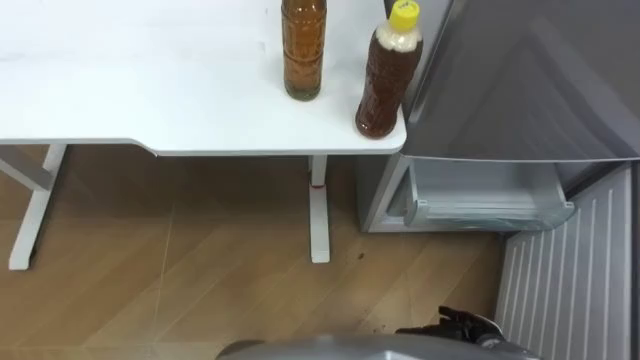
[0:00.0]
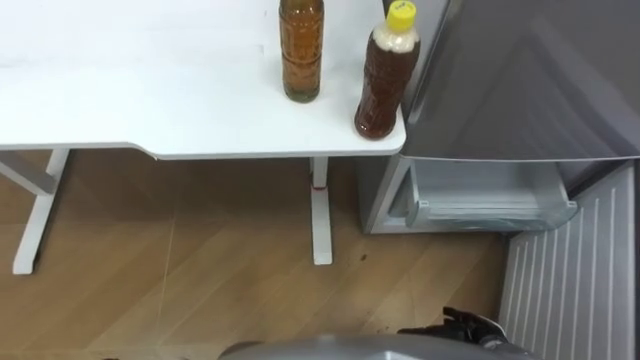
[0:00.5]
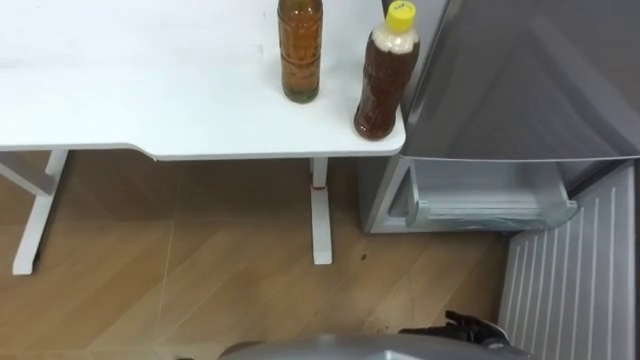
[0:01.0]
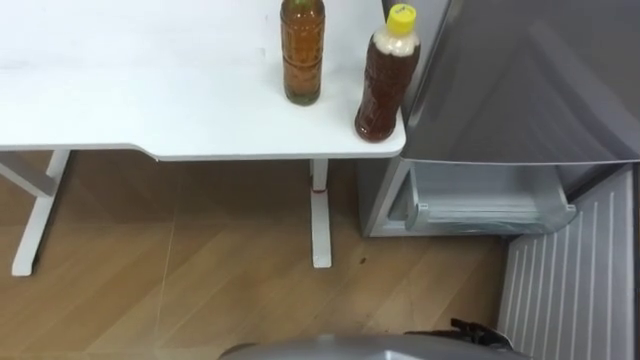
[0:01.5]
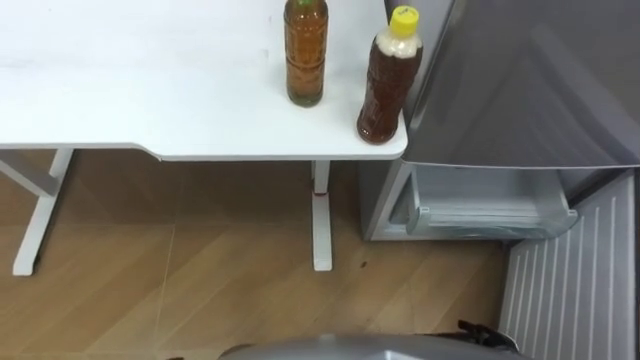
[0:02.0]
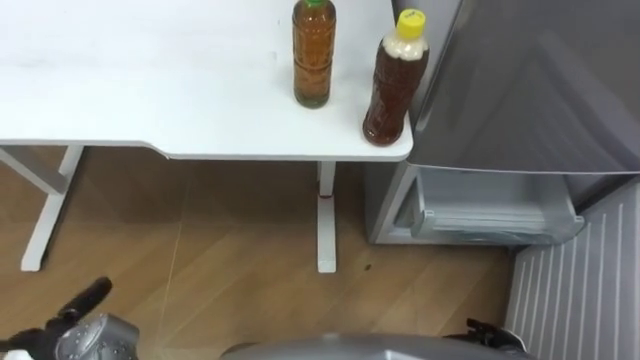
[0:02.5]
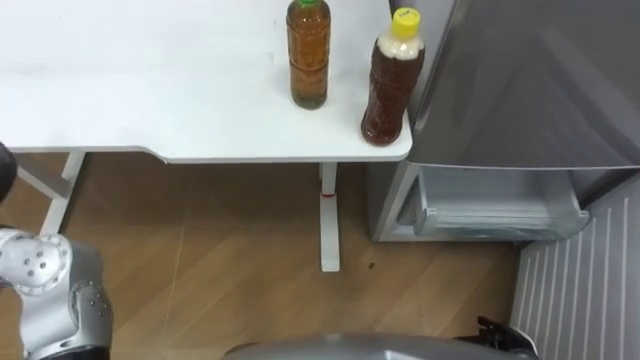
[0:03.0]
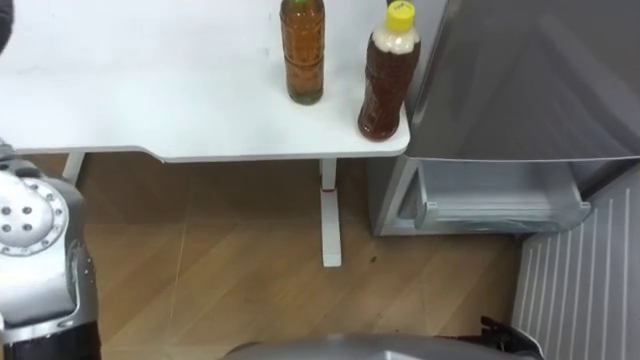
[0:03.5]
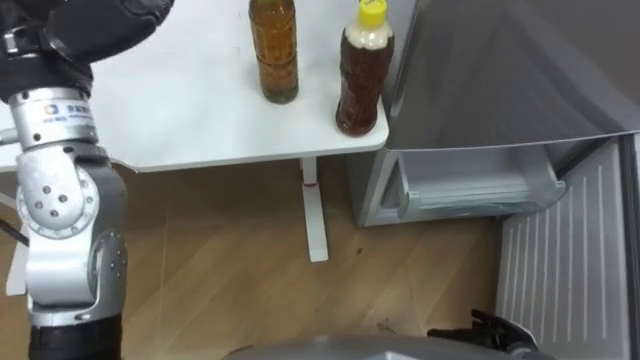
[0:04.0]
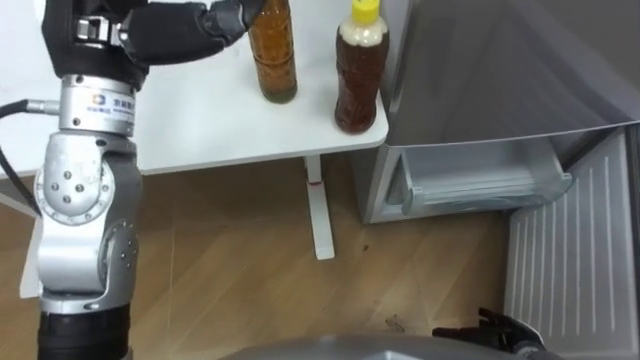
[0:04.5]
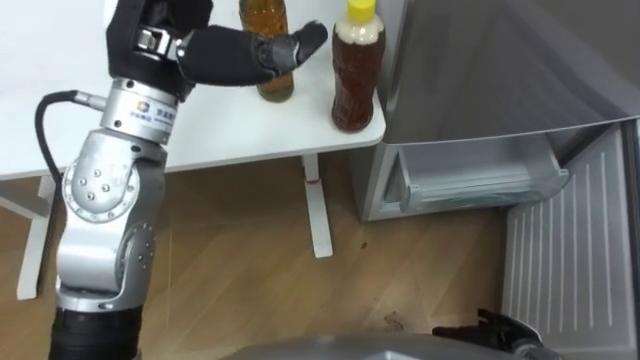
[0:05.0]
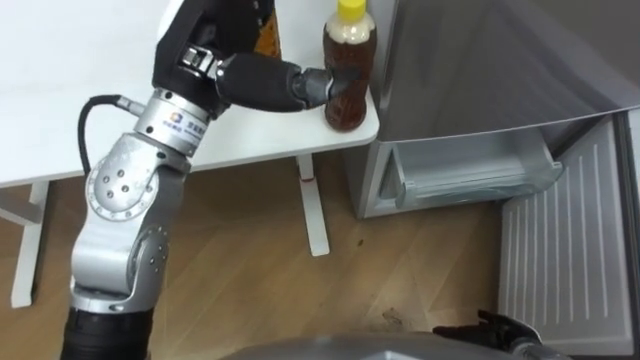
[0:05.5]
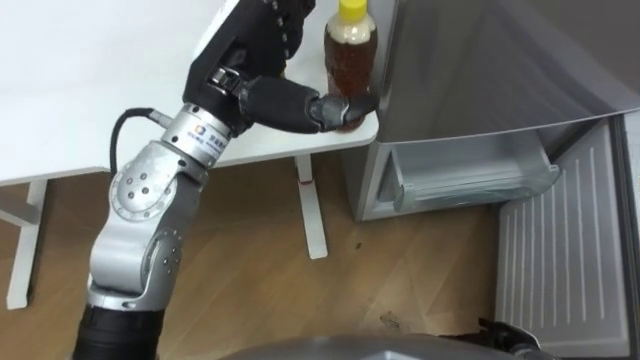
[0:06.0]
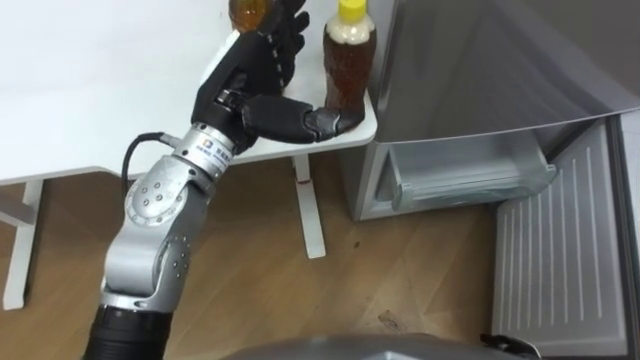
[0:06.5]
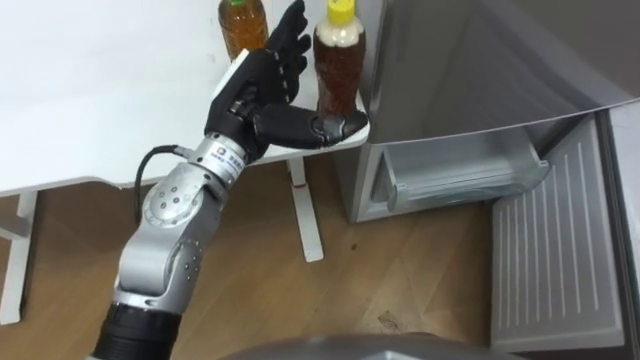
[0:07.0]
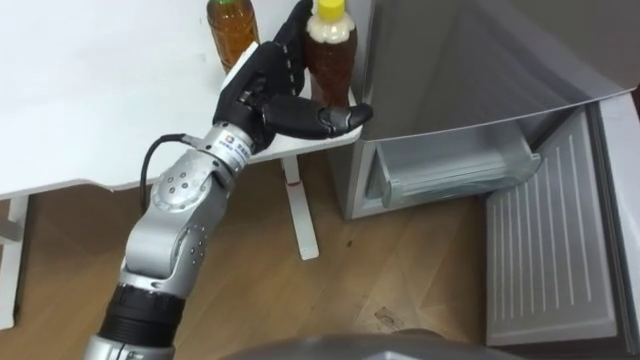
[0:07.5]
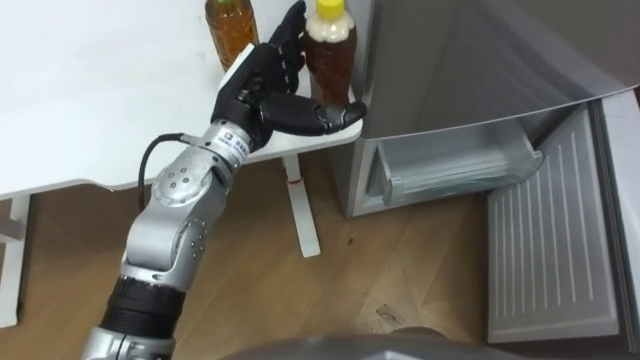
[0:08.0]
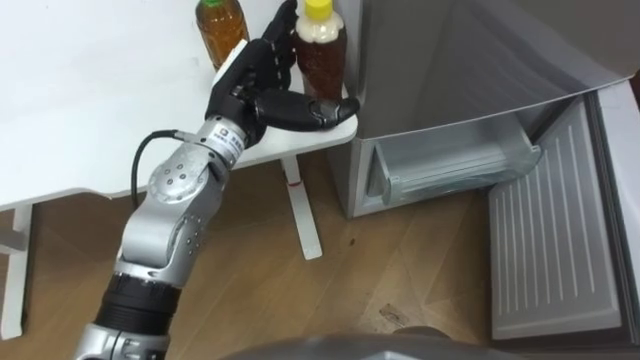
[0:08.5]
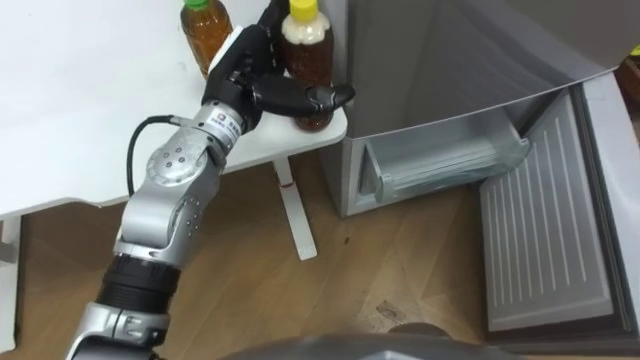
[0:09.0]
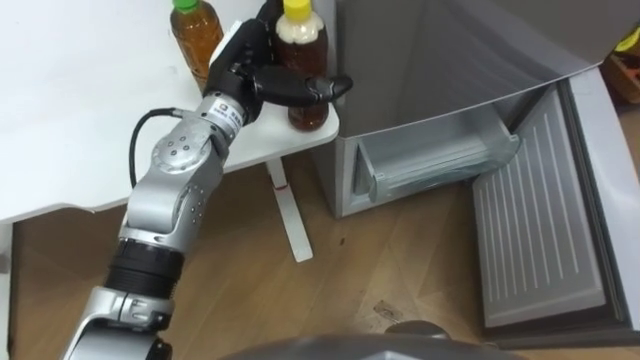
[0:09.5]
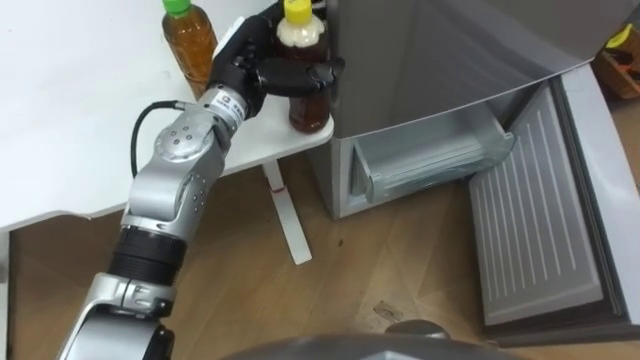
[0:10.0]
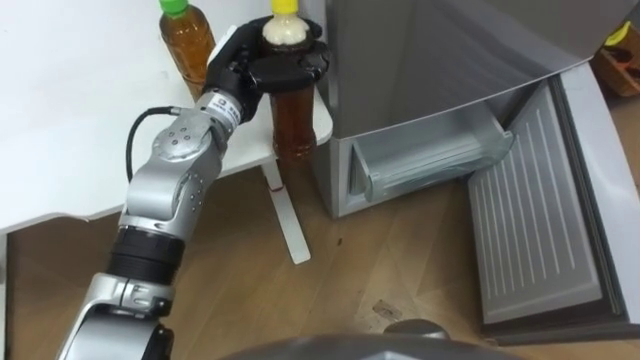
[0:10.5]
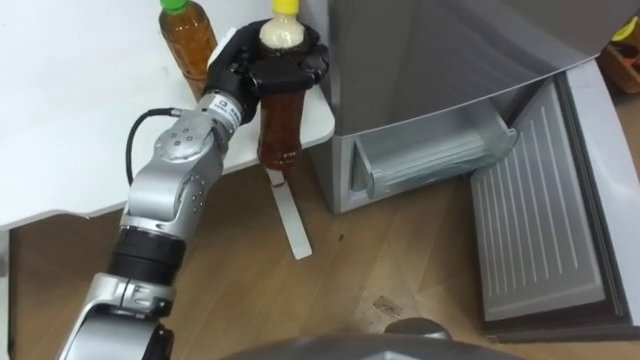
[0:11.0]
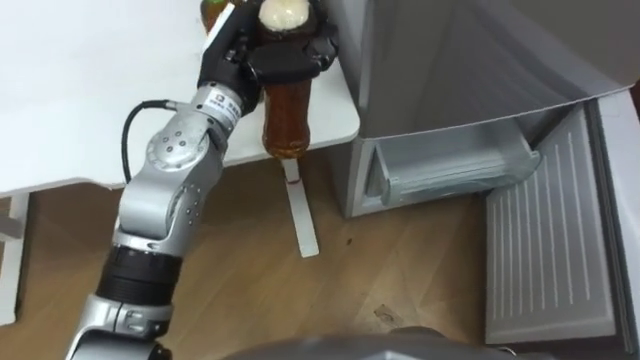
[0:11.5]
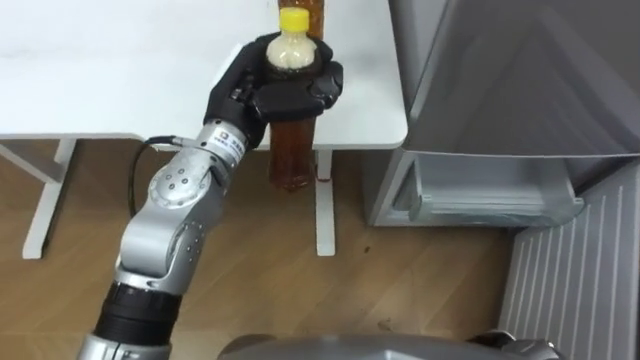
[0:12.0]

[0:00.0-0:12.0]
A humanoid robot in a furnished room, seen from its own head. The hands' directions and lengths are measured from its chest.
Task of the whole recording: Place the drink on the table on the bottom shelf of the refrigerator, then close the drawer and the refrigerator door.
0:04.0 to 0:06.0: The left hand shifts roughly 15 cm to the right.
0:06.0 to 0:08.0: The left hand travels downward by about 10 cm.
0:10.0 to 0:12.0: The left hand closes up.

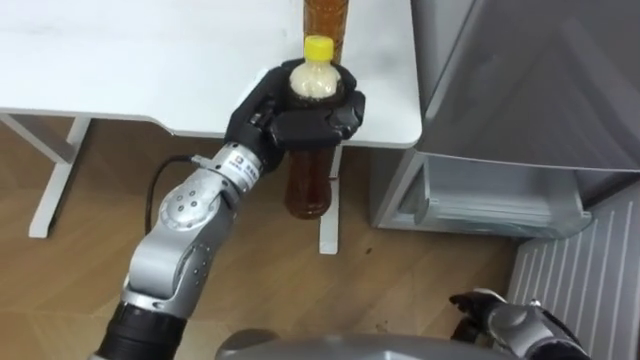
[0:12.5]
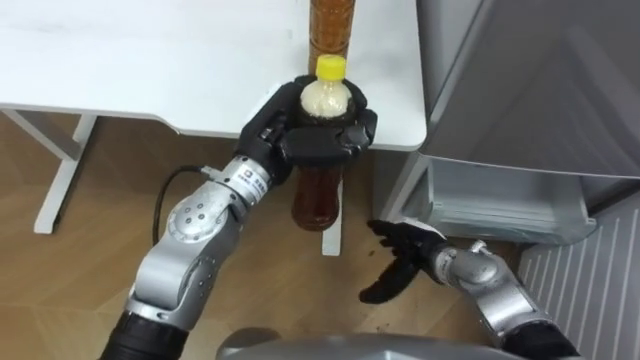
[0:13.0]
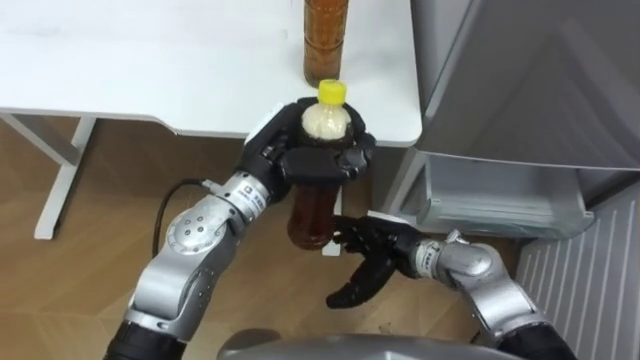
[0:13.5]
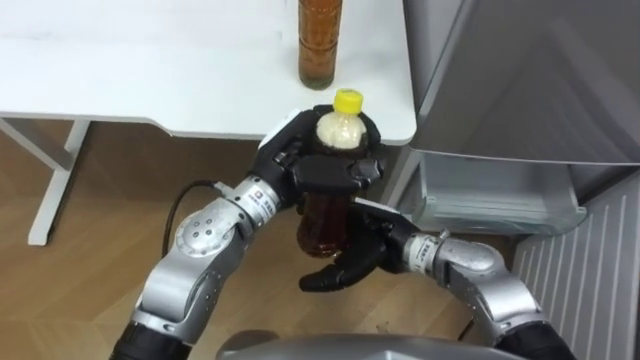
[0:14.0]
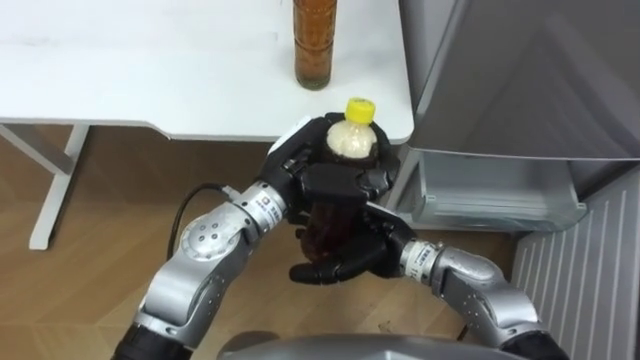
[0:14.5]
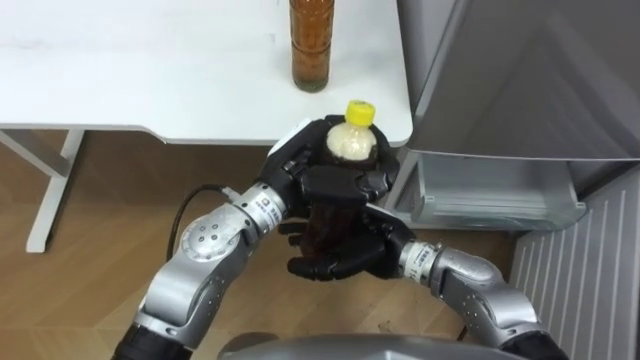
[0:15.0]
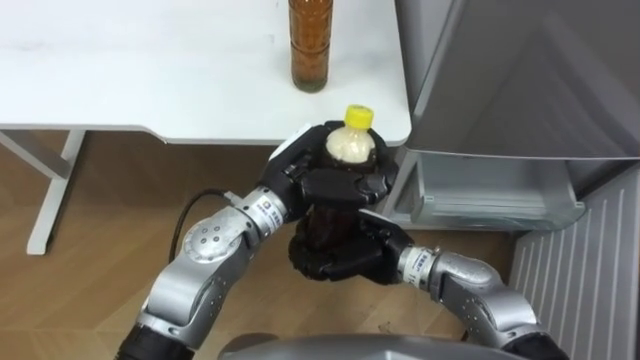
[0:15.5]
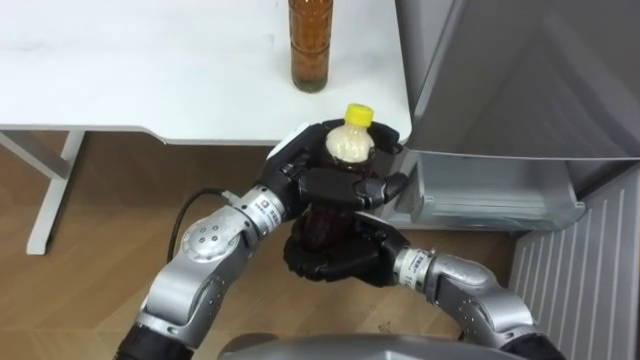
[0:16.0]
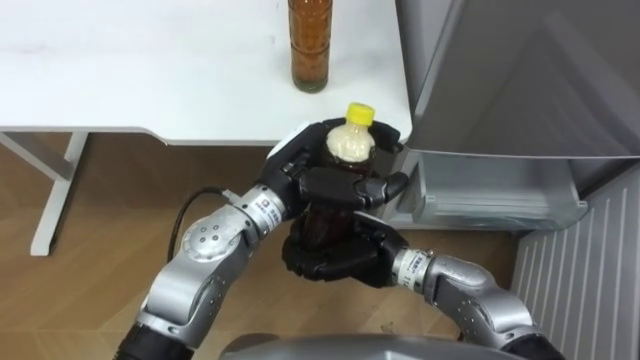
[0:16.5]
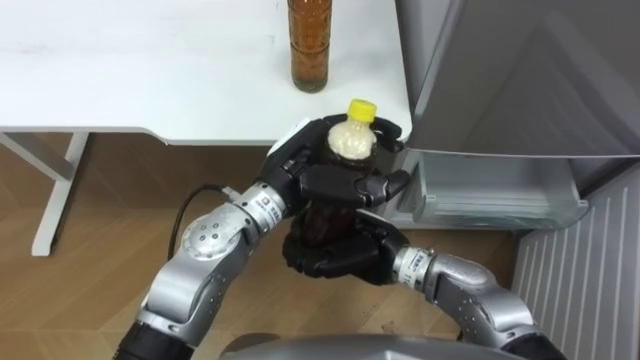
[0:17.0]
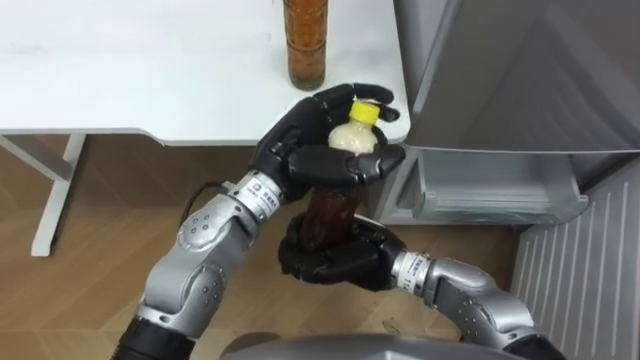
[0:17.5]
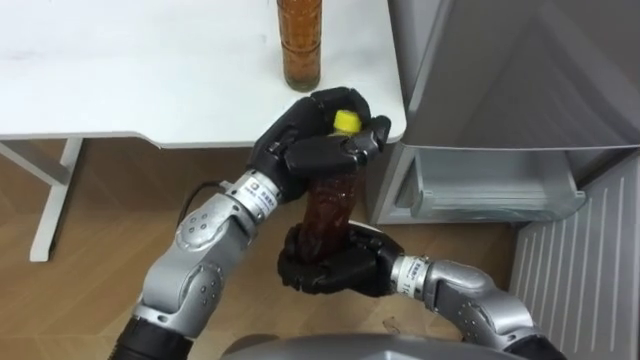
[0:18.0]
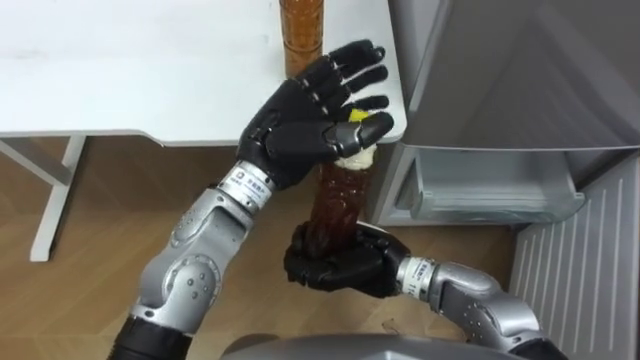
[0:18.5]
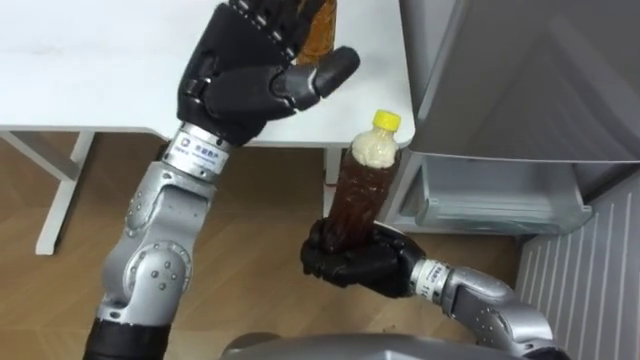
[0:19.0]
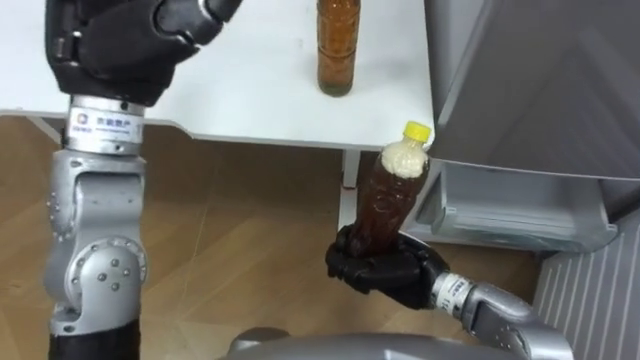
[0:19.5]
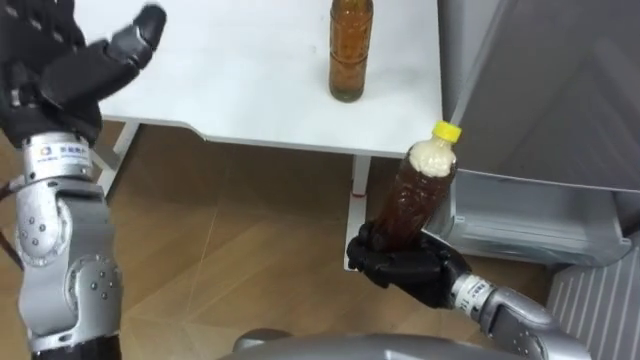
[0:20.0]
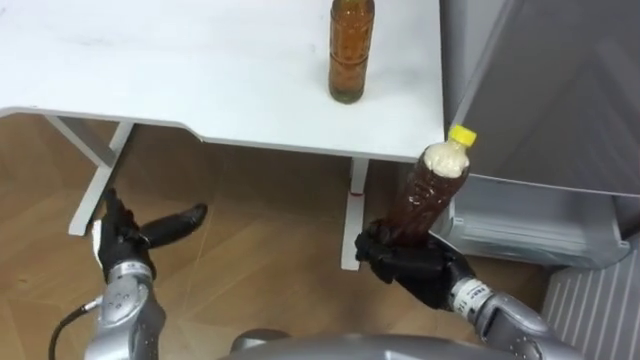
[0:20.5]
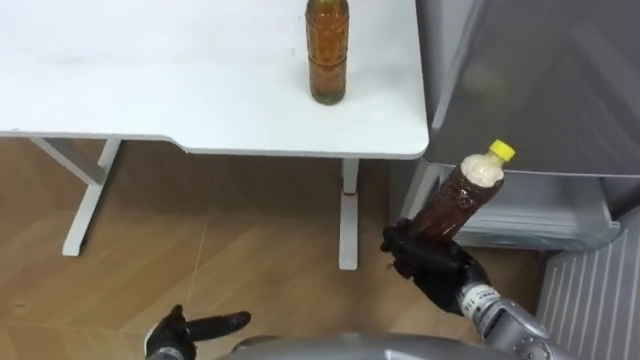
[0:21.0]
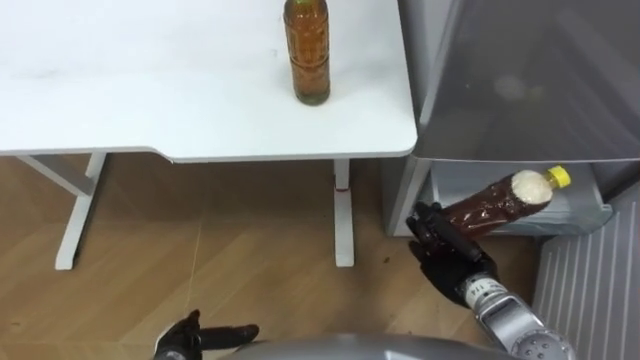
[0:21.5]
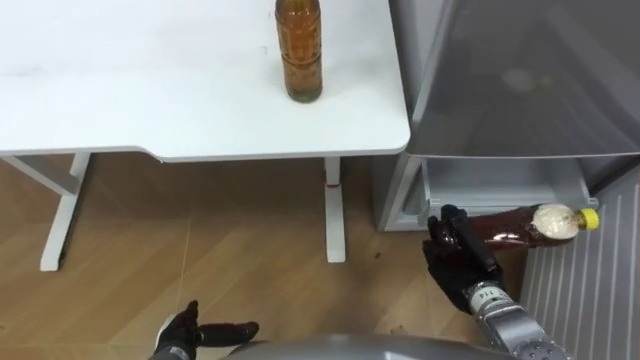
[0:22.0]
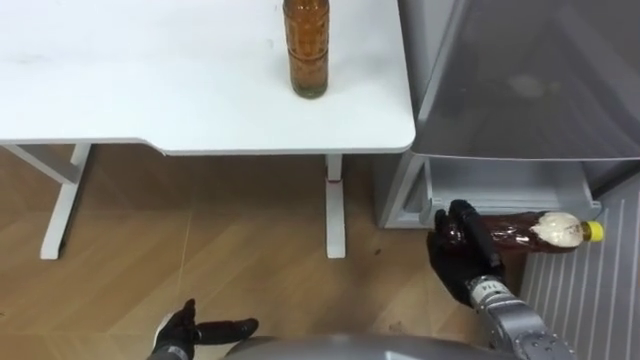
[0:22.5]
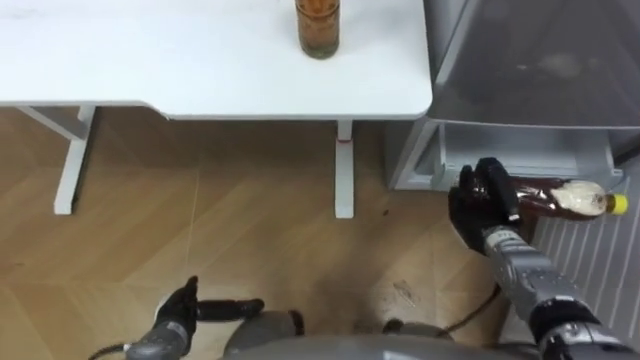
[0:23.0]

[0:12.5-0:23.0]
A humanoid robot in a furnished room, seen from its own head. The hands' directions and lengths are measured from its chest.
Task of the whole recording: Place the drink on the table on the bottom shelf of the refrigerator, then close the drawer and the refrigerator door.
0:12.5 to 0:14.5: The left hand ends up about 5 cm from where it was. The right hand moves to the left, upward and forward, roughly 25 cm.
0:14.5 to 0:16.5: The right hand closes its fingers.
0:16.5 to 0:19.0: The left hand moves upward and to the left, some 15 cm, and opens its fingers.
0:19.0 to 0:21.0: The left hand shifts some 40 cm downward and backward. Meanwhile the right hand moves to the right and downward, approximately 10 cm.
0:21.0 to 0:23.0: The right hand travels forward and to the right by about 10 cm.
